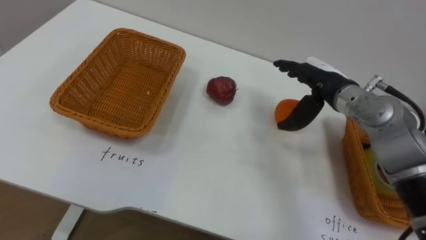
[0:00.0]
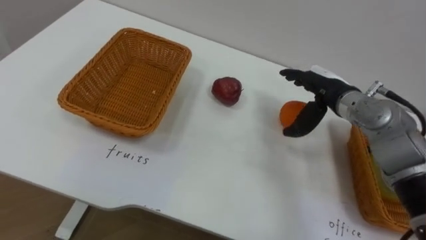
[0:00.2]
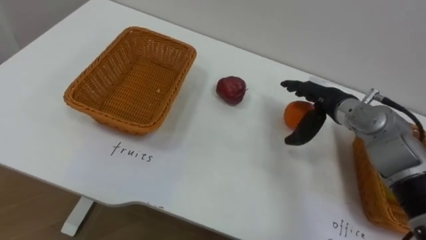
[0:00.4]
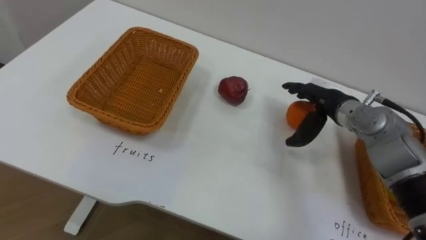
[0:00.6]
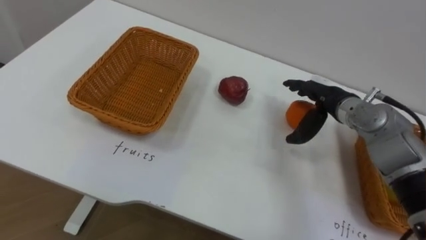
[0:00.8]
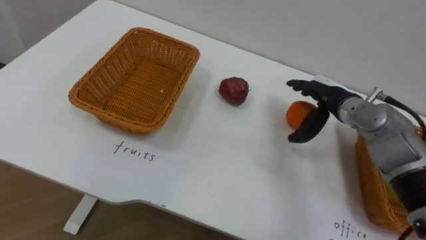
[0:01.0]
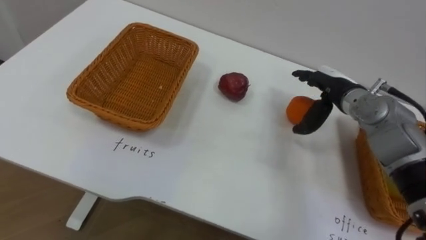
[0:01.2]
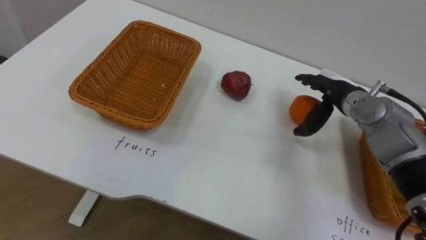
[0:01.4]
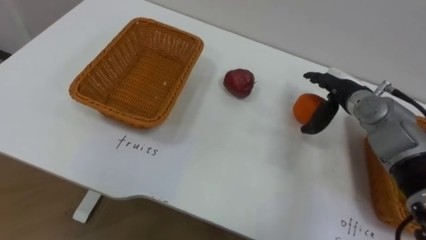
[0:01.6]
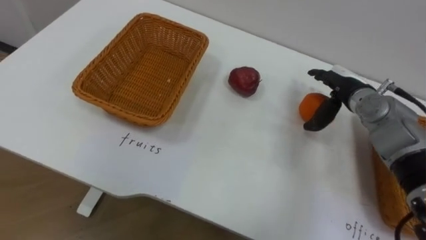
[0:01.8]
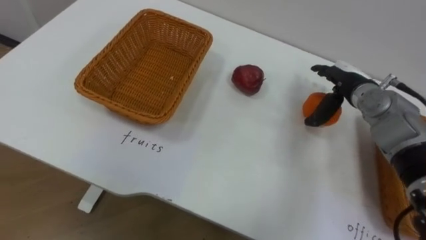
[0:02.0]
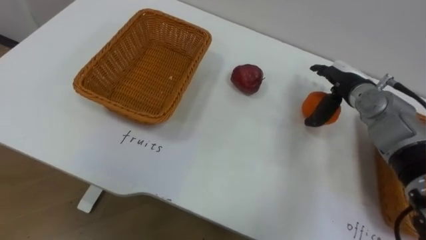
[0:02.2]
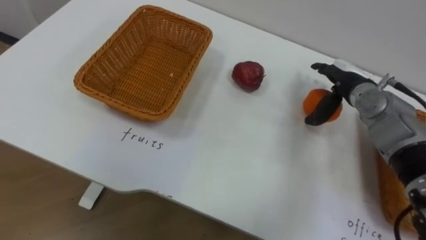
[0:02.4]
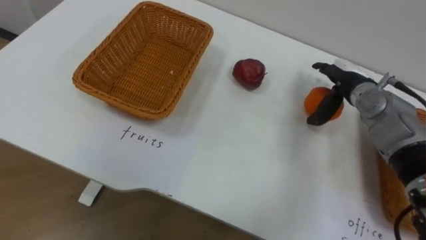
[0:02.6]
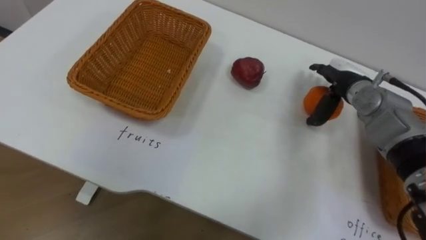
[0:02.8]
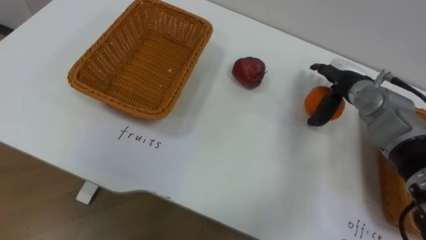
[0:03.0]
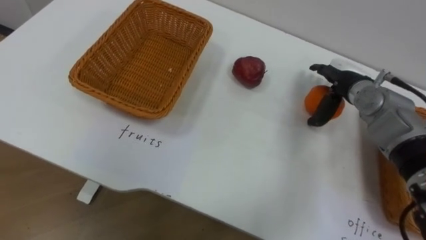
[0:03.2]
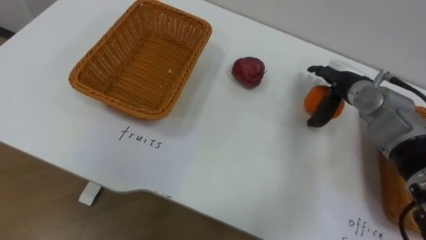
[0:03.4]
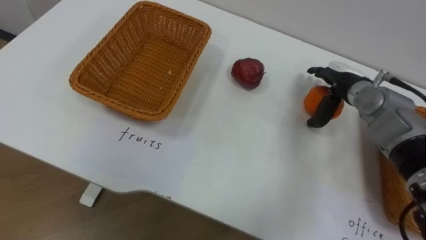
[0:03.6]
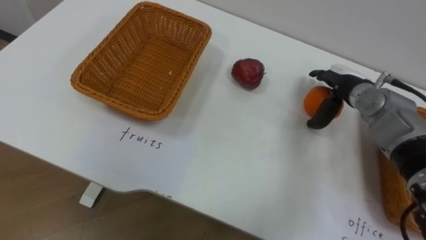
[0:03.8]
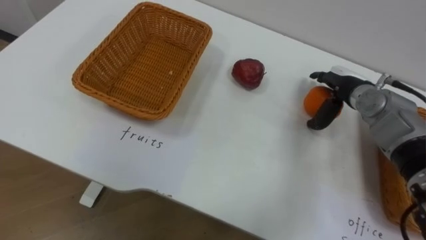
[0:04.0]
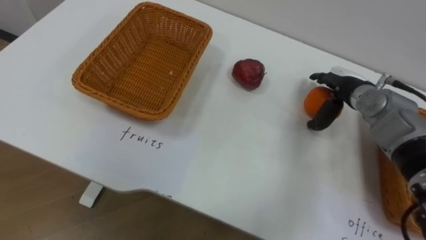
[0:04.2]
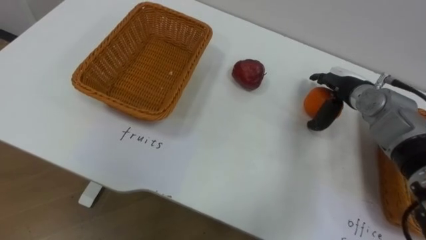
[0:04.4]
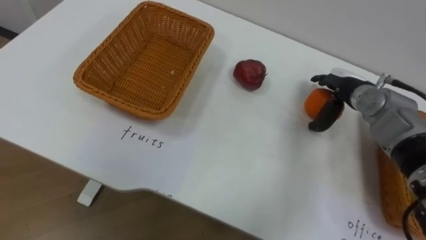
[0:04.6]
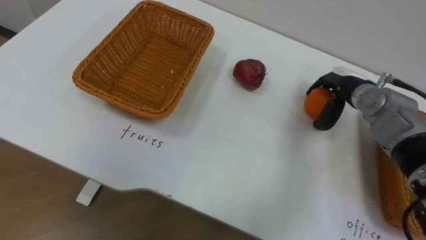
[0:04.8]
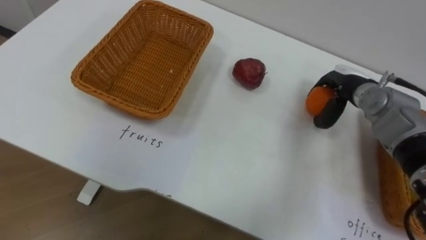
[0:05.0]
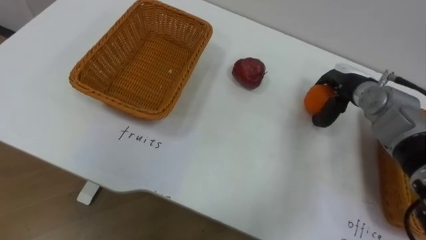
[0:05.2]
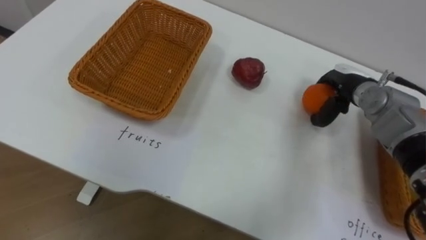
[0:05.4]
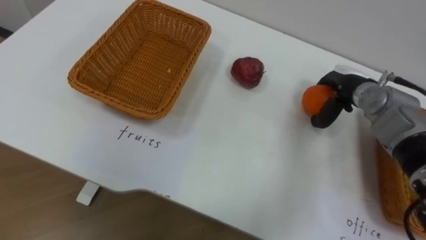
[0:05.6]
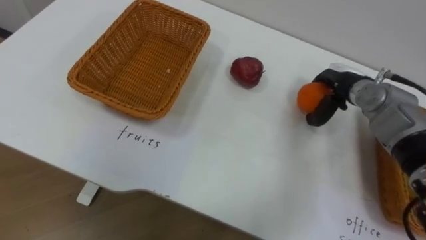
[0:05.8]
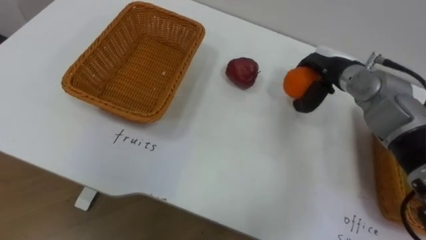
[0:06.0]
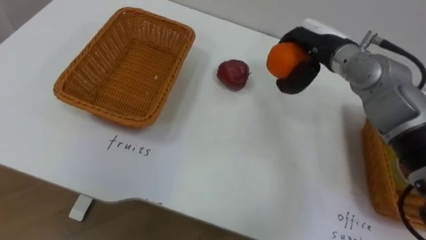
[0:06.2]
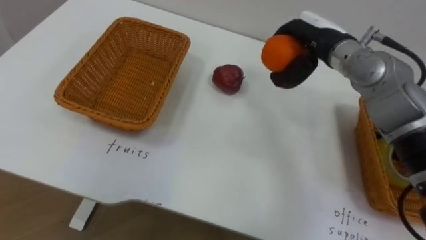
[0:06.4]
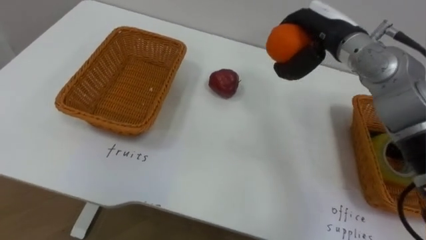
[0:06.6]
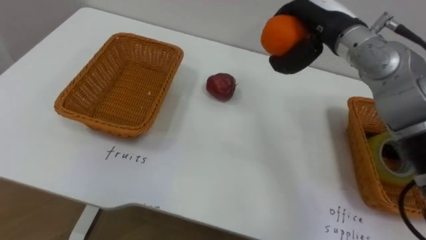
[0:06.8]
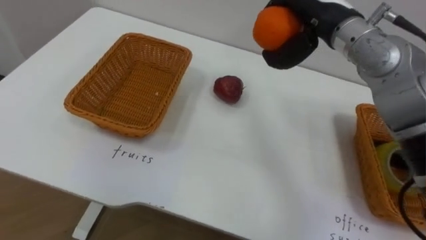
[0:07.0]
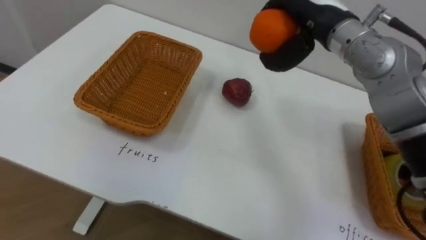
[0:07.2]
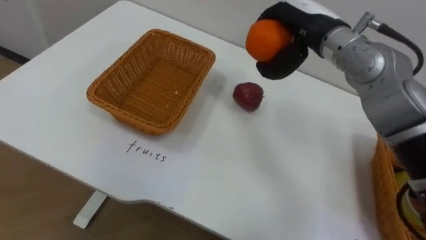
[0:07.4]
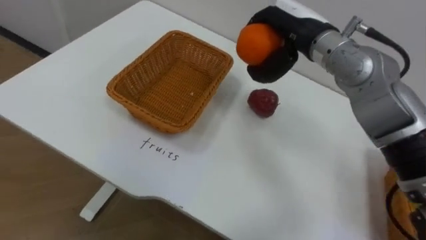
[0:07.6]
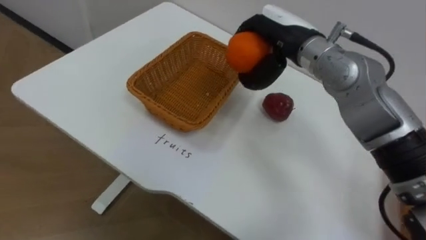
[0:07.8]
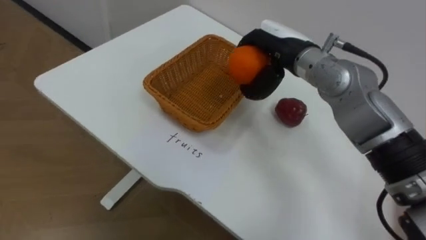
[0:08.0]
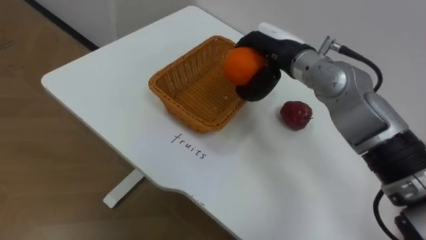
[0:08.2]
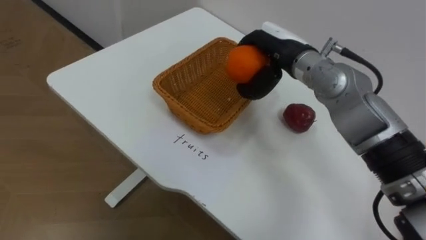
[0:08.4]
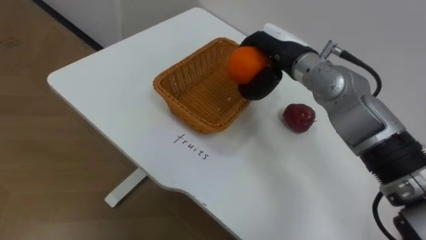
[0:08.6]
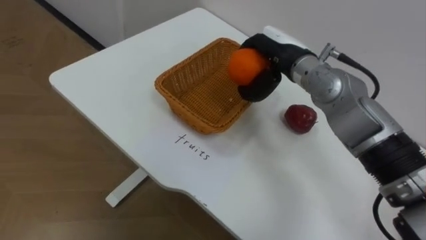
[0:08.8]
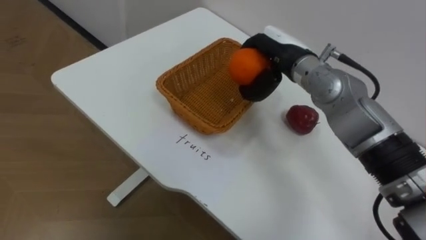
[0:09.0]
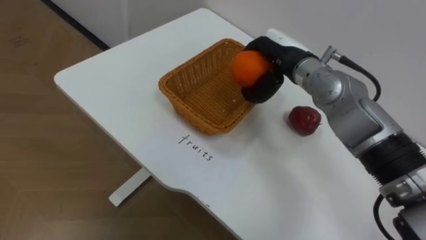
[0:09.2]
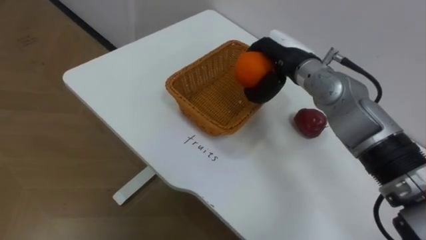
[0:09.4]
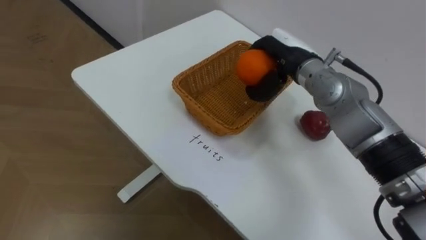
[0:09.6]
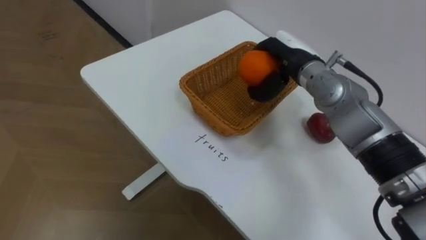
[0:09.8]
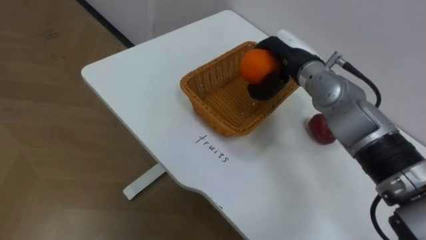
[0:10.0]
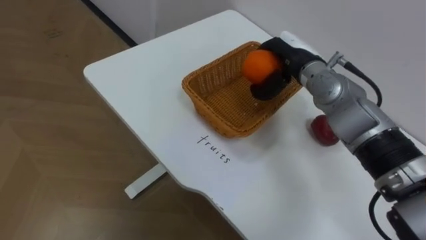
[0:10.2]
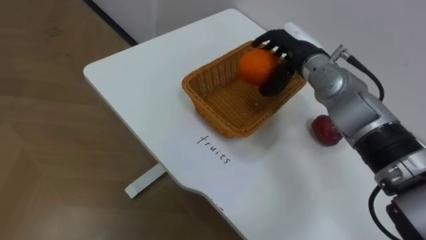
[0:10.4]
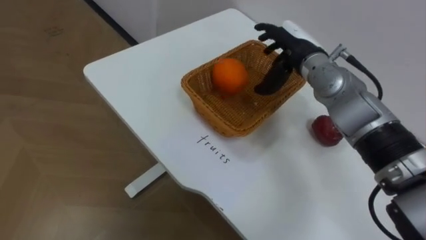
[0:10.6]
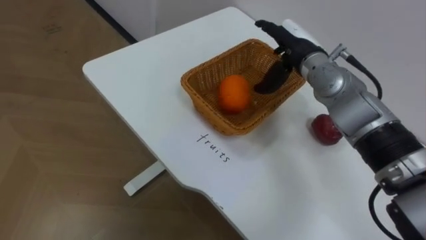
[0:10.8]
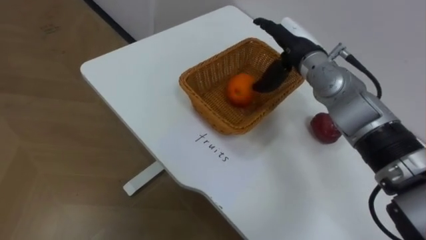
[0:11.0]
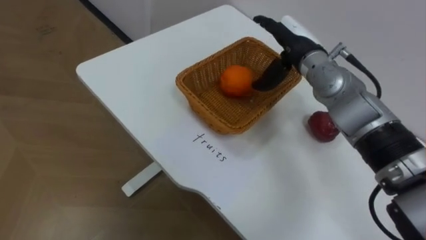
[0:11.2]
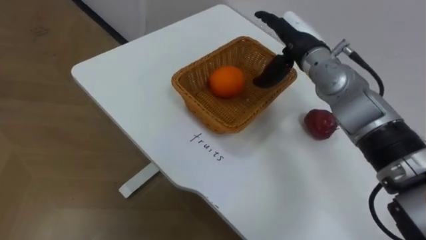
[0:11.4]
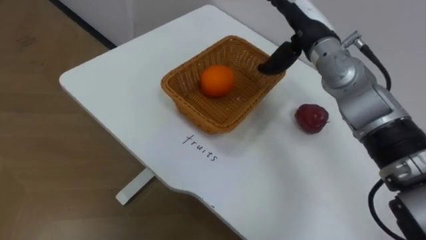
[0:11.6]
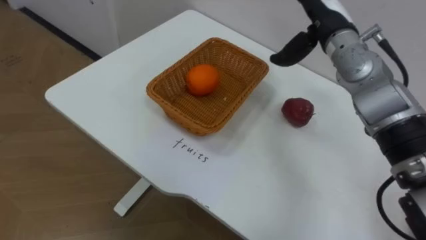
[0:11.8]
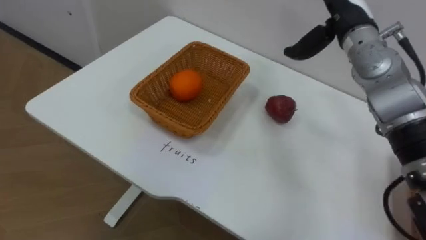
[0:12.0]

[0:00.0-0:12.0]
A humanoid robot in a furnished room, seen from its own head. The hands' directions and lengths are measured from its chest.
Task of the whole recording: Separate the items on the table and place them into the two baskets.
0:00.0 to 0:01.6: The right hand changes place by some 5 cm.
0:04.4 to 0:06.0: The right hand shifts by approximately 5 cm, and closes up.
0:06.0 to 0:07.6: The right hand heads upward and to the left, covering about 15 cm.
0:07.6 to 0:09.0: The right hand shifts approximately 5 cm downward.
0:10.4 to 0:12.0: The right hand heads upward and to the right, covering about 10 cm, and opens up.

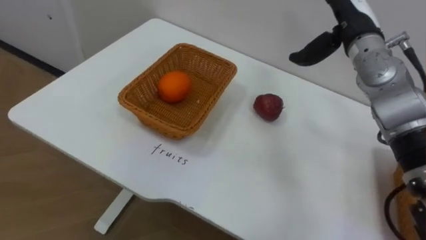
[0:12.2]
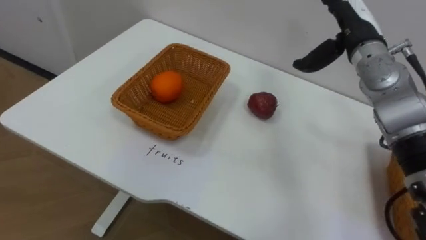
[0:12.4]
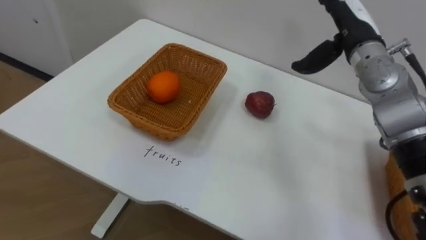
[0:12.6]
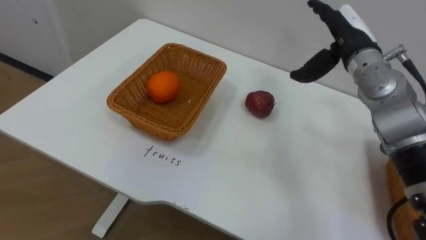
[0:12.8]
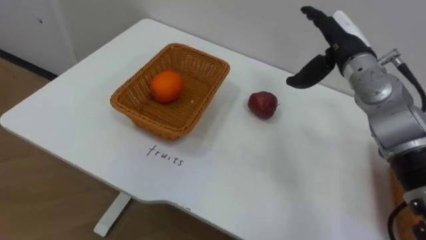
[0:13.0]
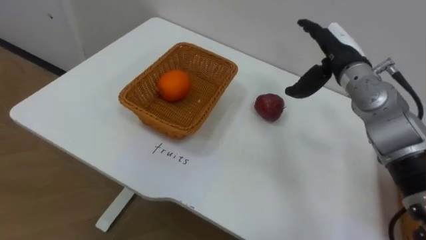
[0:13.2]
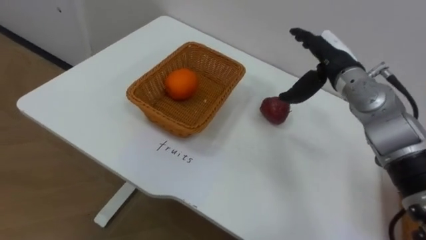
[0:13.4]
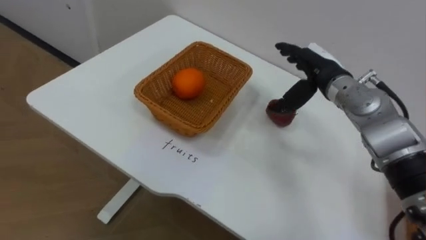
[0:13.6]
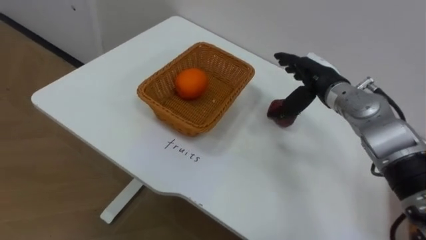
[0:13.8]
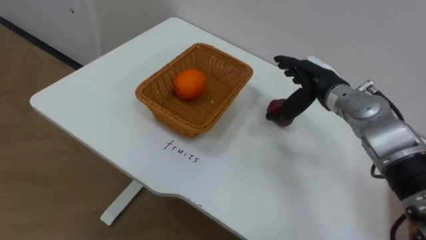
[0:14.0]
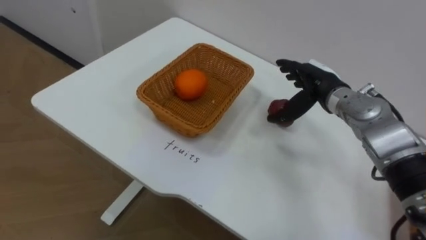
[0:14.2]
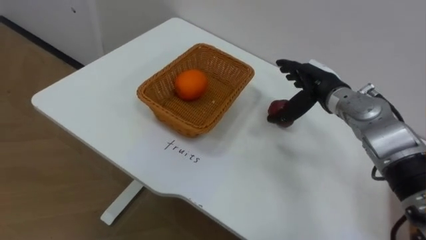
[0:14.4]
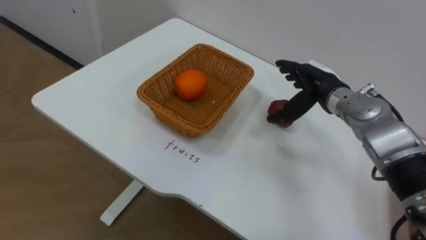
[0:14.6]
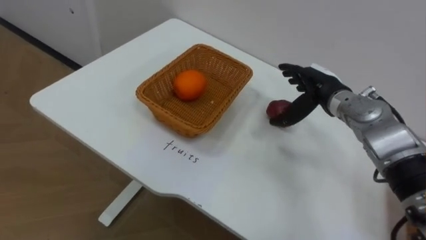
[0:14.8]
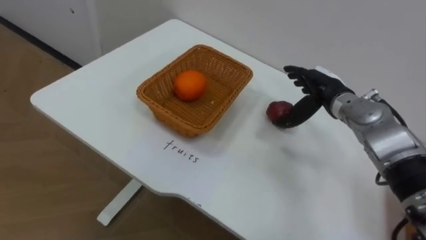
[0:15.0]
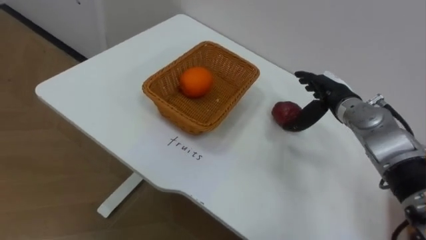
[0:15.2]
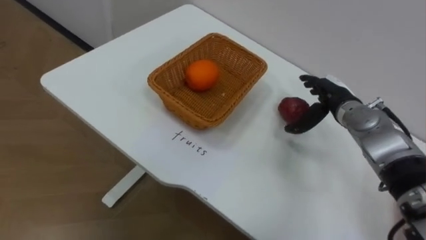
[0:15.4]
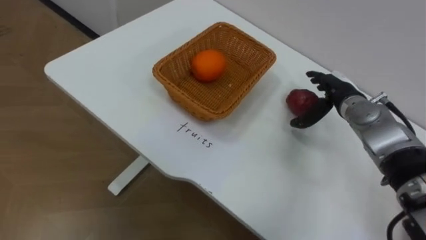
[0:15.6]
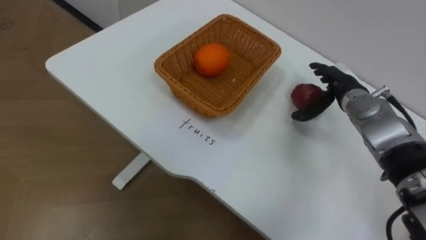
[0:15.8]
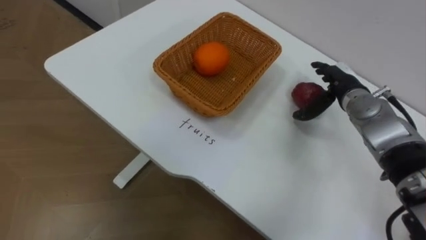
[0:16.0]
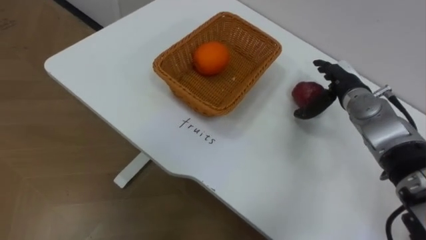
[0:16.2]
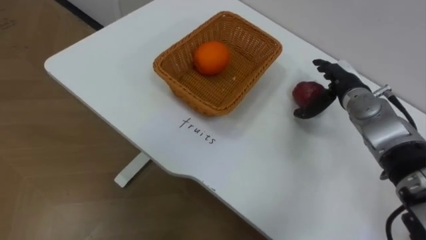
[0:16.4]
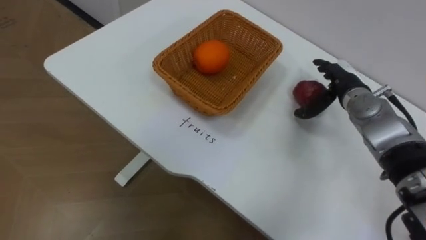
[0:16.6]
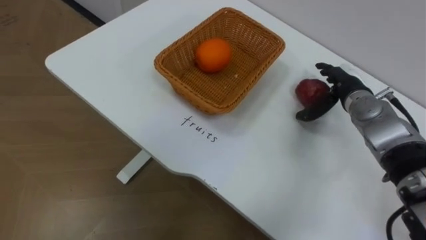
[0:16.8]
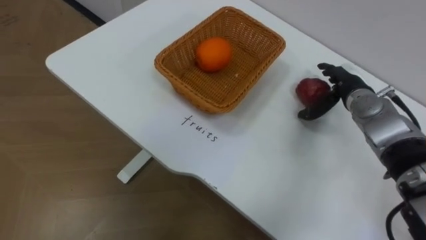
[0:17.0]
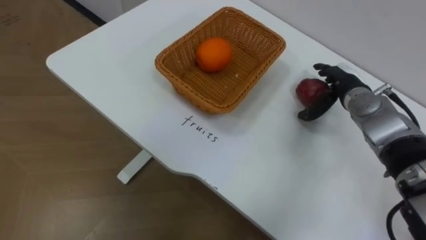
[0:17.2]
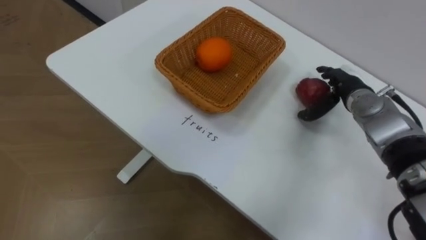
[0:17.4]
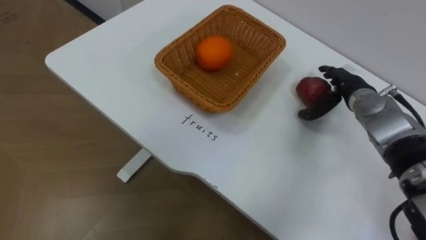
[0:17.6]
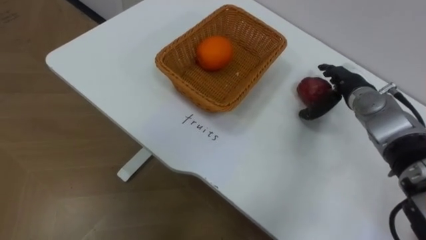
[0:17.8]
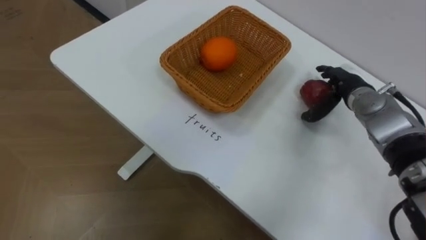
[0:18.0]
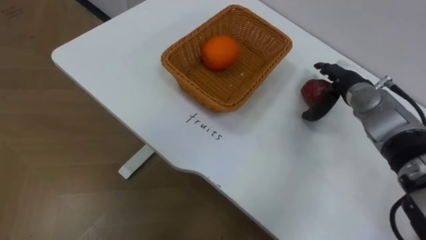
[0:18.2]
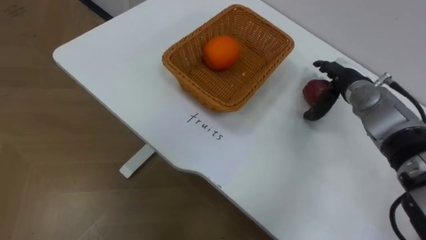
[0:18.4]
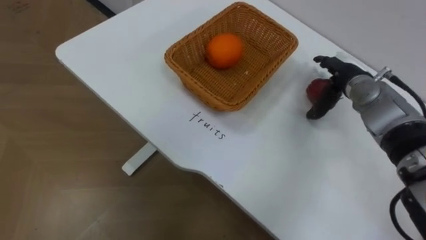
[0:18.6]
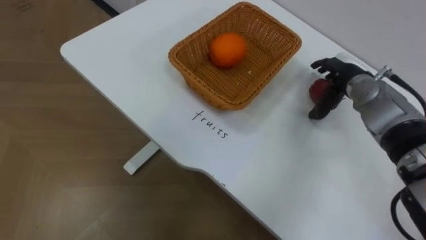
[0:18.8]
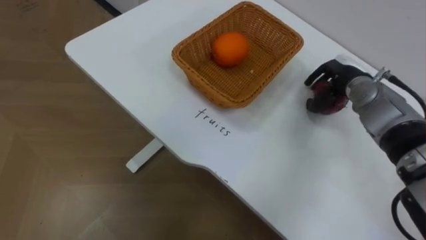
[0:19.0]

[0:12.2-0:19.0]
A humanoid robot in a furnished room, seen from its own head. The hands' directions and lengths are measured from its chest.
Task of the whole recording: Separate the items on the table and place them into the two baskets.
0:12.2 to 0:13.6: The right hand moves downward, some 10 cm.
0:17.6 to 0:19.0: The right hand closes its fingers.
